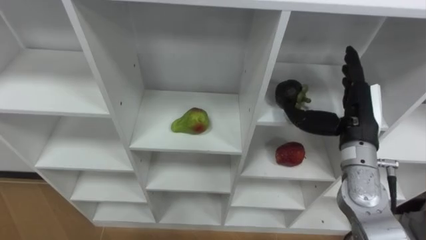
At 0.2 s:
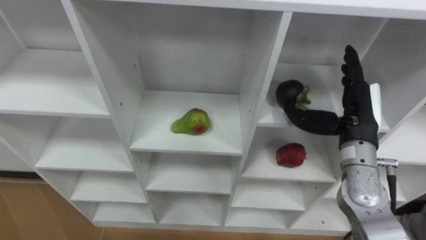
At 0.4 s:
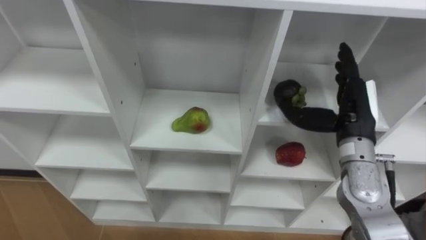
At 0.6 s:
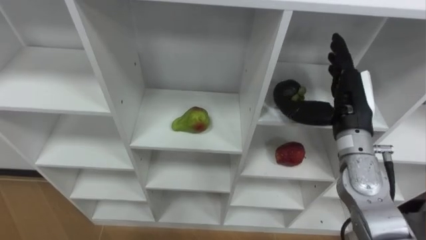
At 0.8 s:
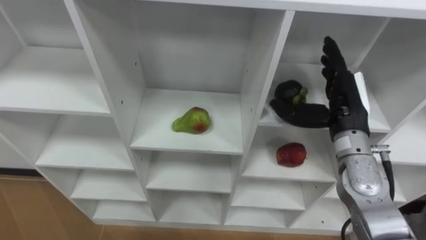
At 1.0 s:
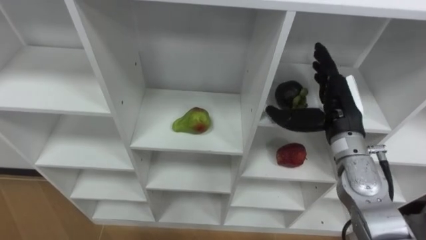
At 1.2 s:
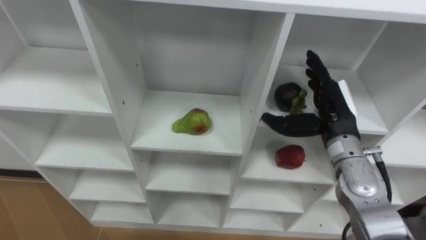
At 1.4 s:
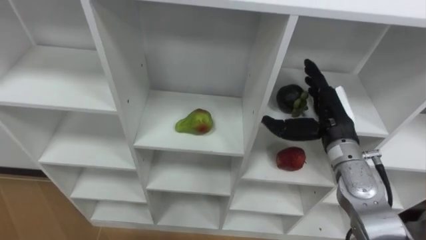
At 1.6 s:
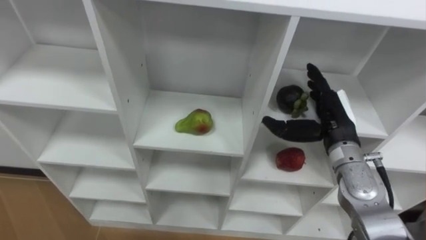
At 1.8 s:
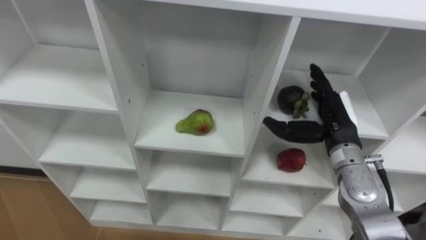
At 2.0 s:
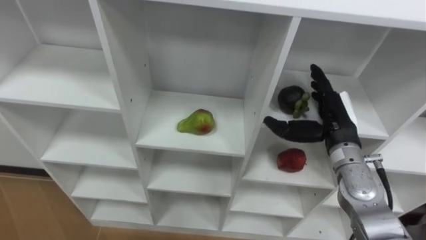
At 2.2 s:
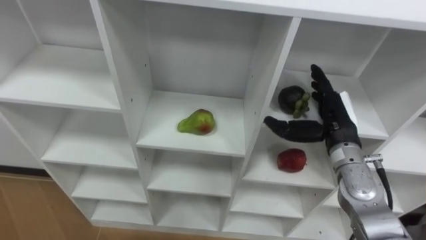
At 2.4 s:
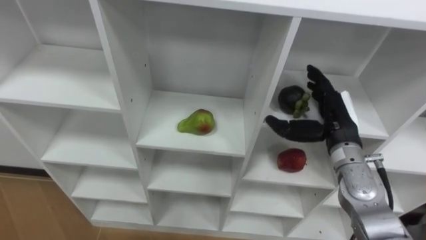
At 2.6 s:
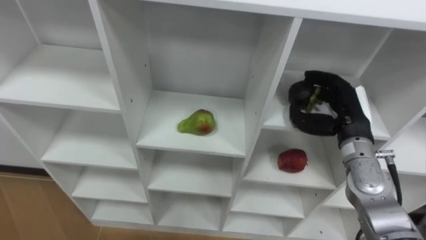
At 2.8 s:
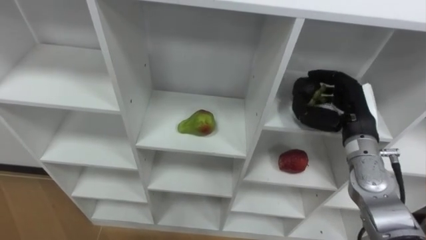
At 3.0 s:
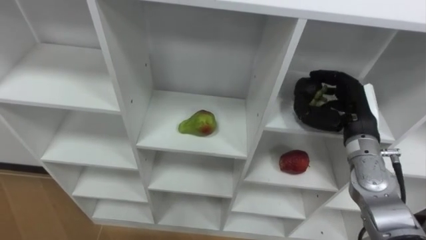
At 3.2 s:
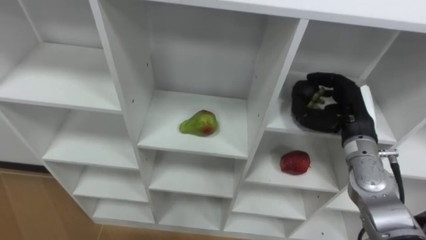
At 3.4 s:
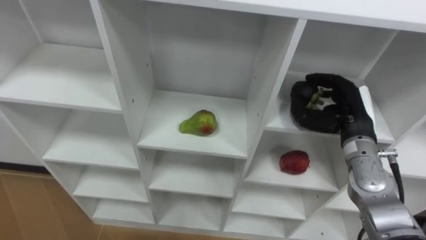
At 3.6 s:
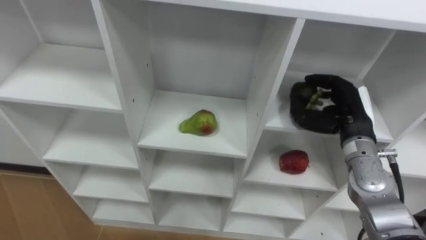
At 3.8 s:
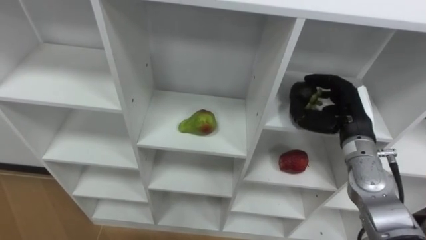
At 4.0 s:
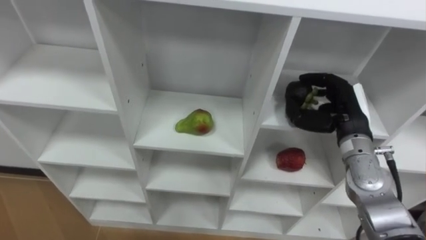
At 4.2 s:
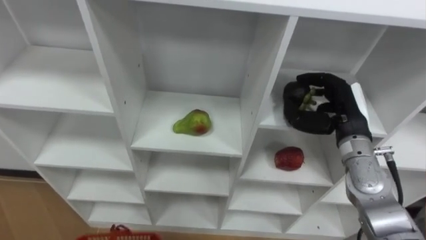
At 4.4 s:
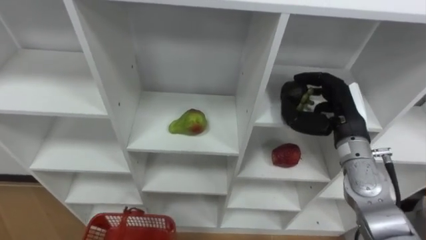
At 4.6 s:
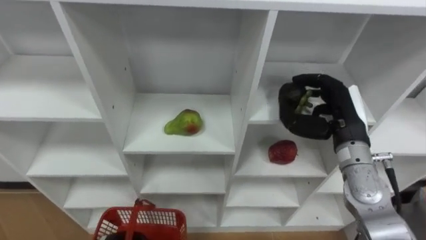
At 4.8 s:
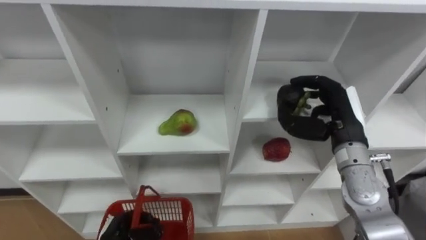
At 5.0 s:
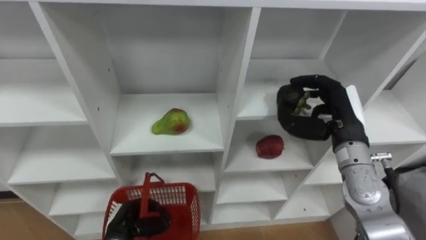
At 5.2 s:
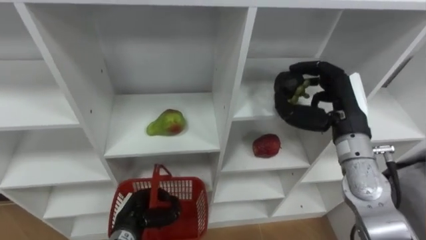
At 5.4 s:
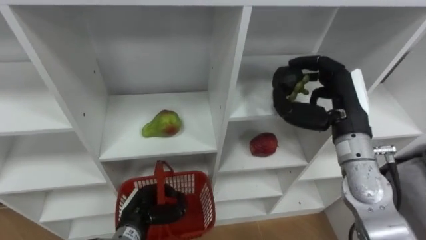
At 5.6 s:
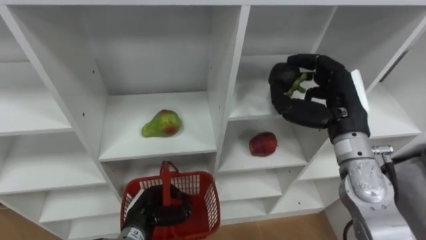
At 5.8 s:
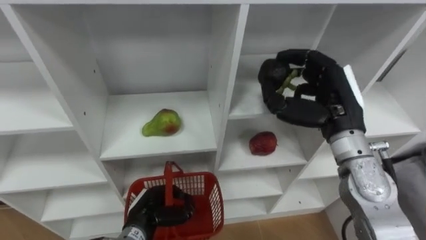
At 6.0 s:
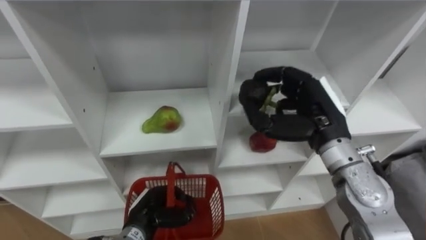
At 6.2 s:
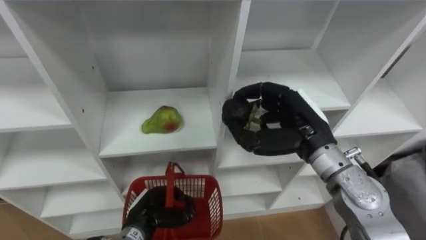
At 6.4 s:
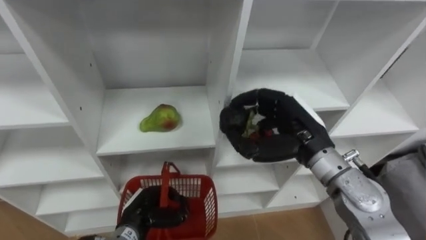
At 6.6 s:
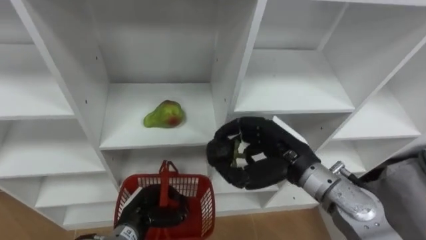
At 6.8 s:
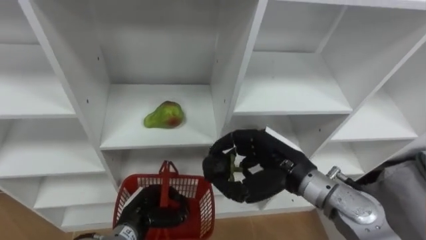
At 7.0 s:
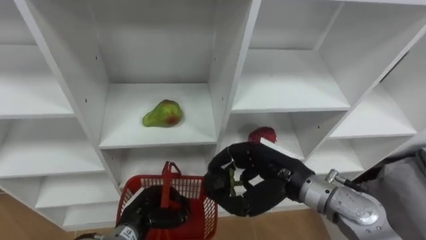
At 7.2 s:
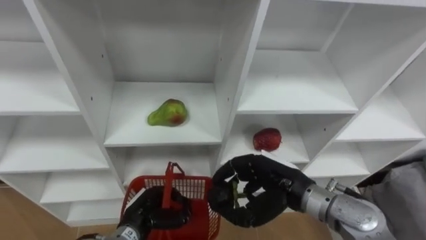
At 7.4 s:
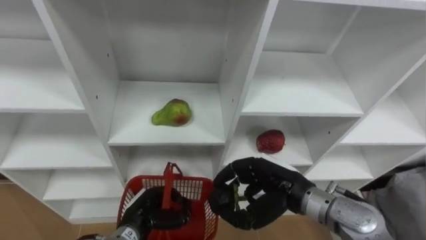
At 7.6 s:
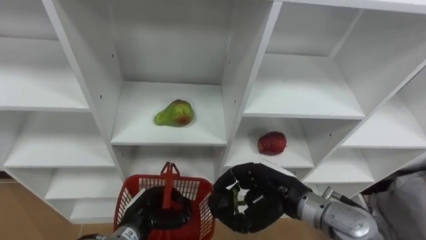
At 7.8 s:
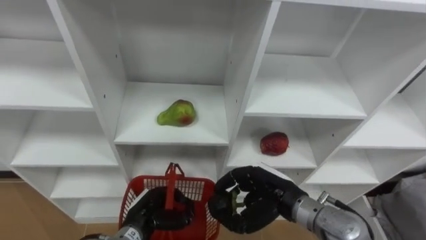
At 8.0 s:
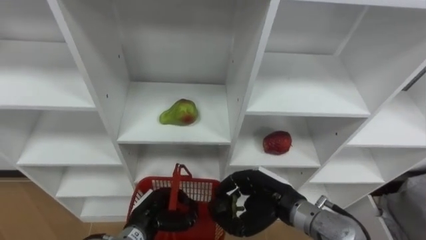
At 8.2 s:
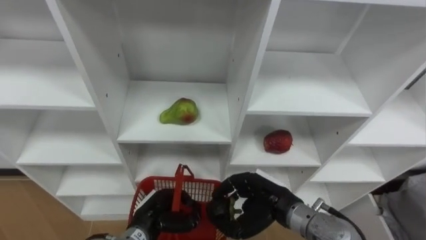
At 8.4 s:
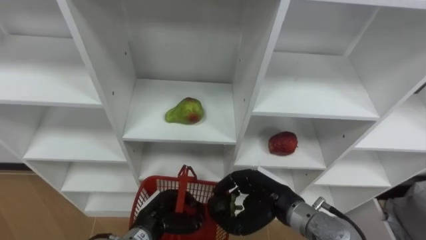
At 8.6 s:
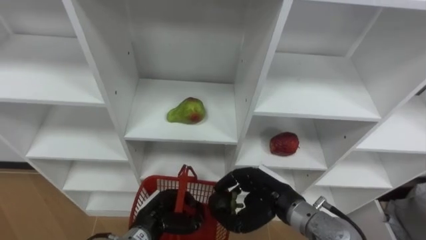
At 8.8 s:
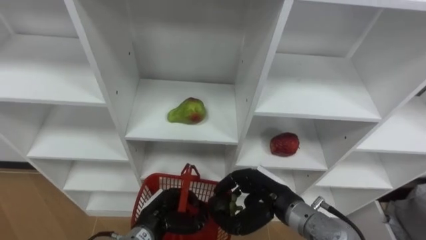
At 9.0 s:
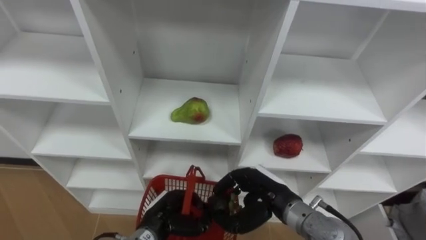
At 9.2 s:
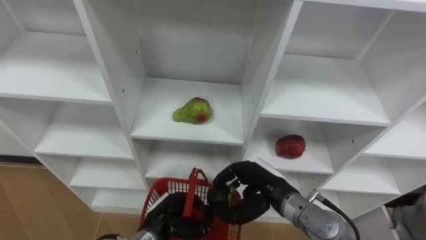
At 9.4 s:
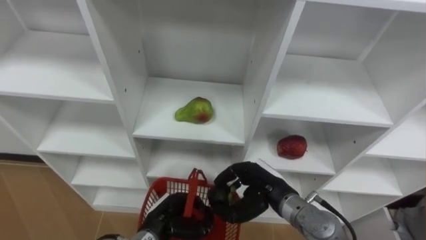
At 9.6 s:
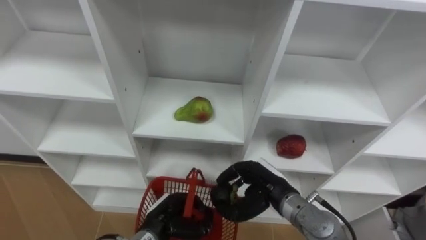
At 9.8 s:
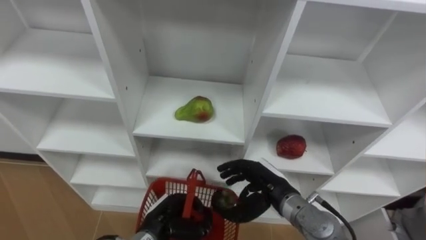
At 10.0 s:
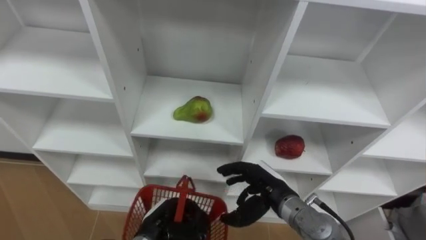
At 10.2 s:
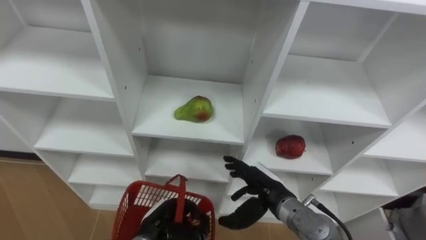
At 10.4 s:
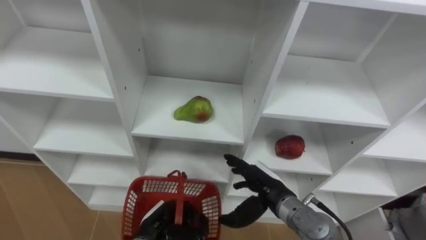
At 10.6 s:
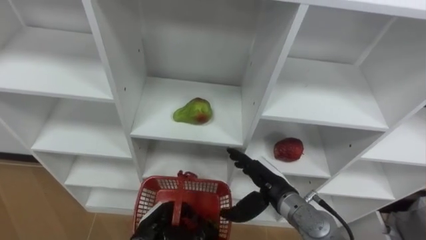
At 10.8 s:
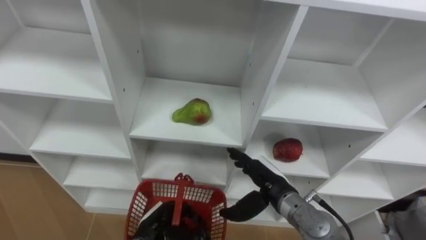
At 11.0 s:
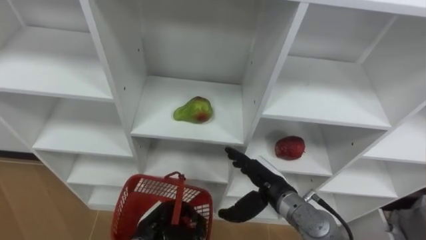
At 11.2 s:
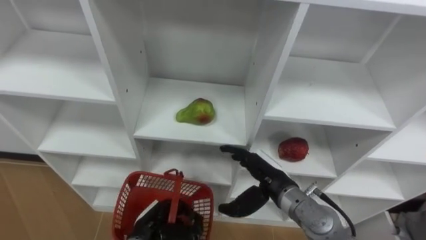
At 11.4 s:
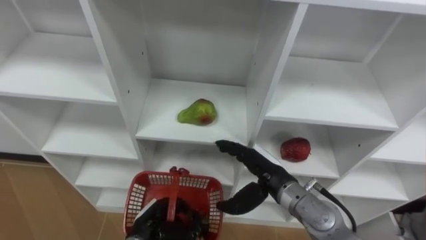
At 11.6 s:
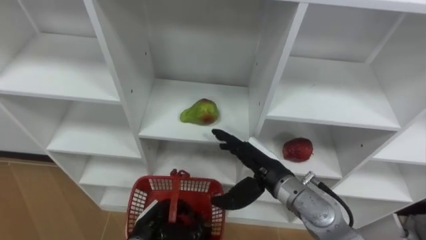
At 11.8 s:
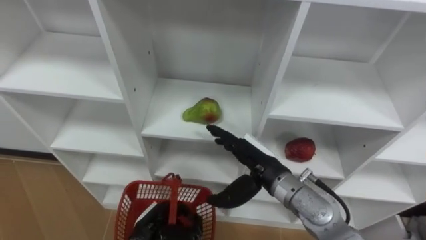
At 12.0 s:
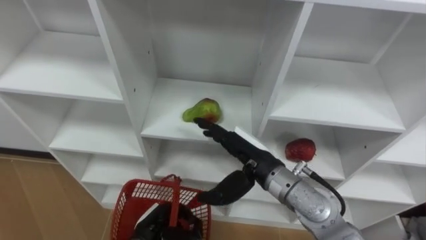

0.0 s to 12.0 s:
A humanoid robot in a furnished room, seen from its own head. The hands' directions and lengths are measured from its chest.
Task of the whole recording: Hold the basket and collect the fruits from 3 different cells of the closet into it.
1.6 to 3.0 s: The right hand closes its fingers.
4.4 to 6.0 s: The right hand moves to the left, roughly 5 cm.
6.0 to 7.6 s: The right hand goes approximately 15 cm downward, backward and to the left.
9.0 to 10.4 s: The right hand opens its fingers.
10.4 to 12.0 s: The right hand shifts roughly 10 cm upward.

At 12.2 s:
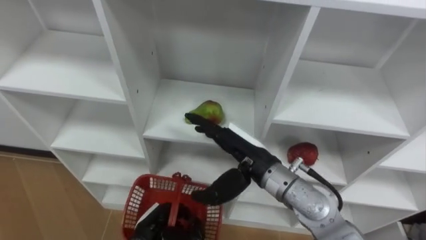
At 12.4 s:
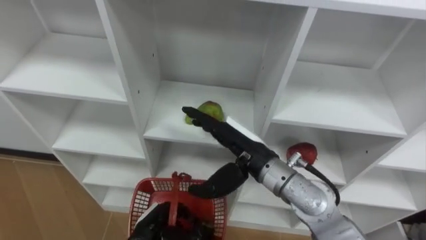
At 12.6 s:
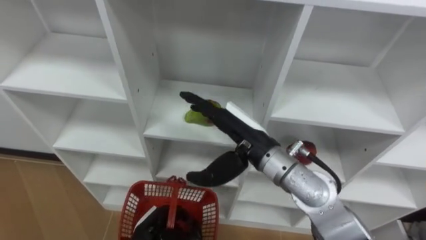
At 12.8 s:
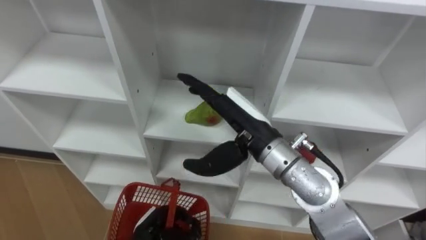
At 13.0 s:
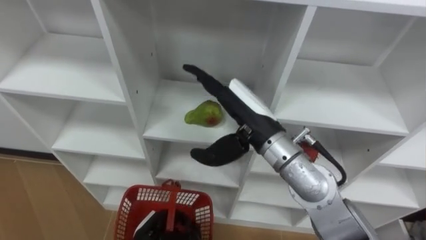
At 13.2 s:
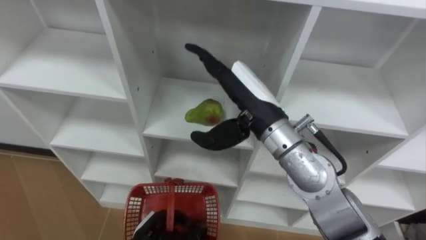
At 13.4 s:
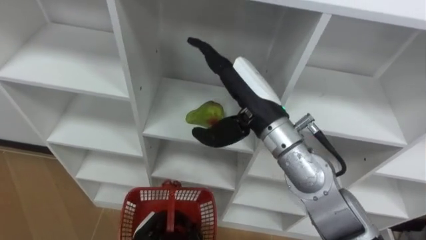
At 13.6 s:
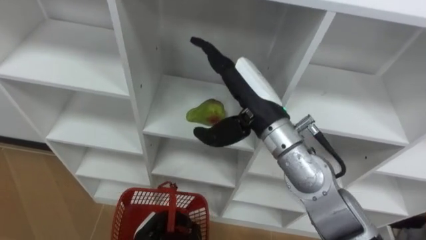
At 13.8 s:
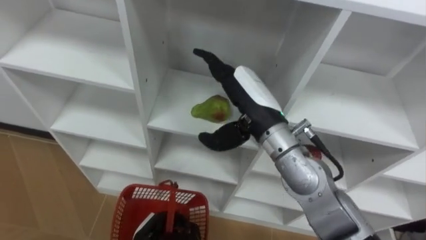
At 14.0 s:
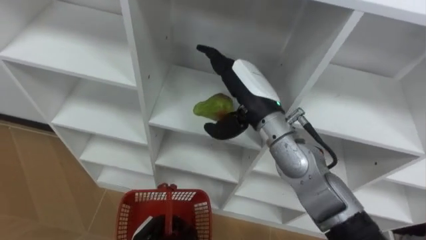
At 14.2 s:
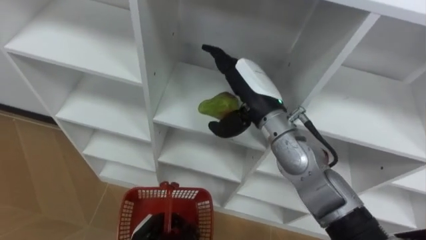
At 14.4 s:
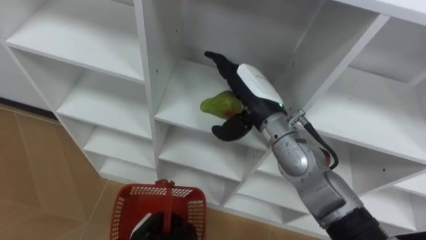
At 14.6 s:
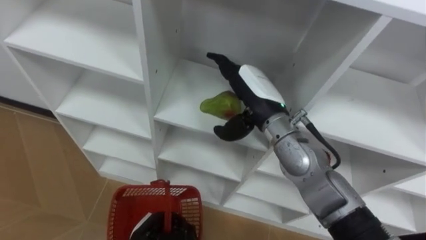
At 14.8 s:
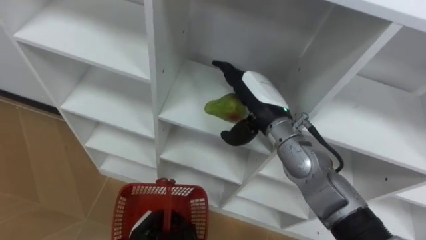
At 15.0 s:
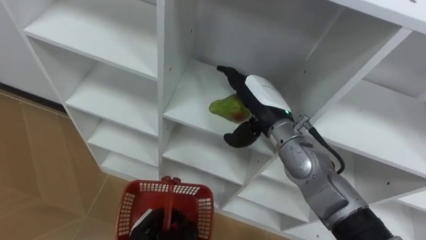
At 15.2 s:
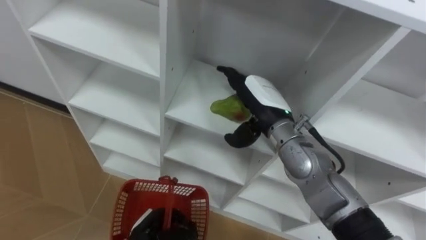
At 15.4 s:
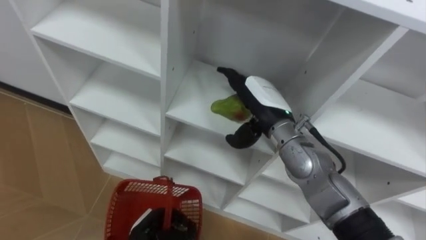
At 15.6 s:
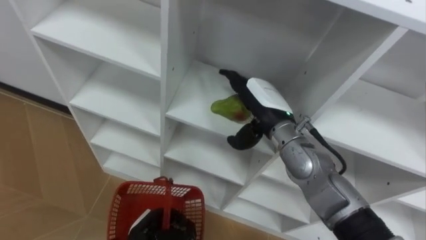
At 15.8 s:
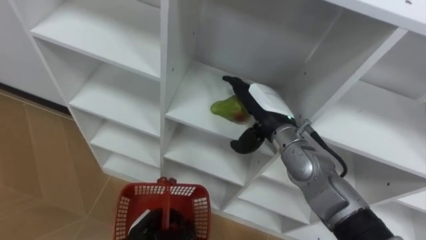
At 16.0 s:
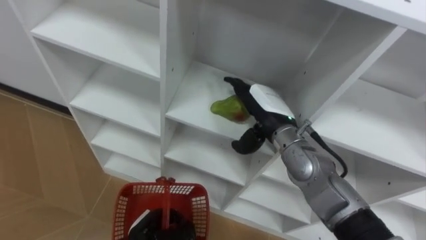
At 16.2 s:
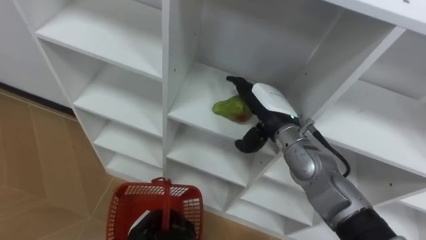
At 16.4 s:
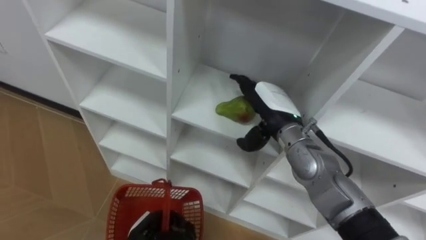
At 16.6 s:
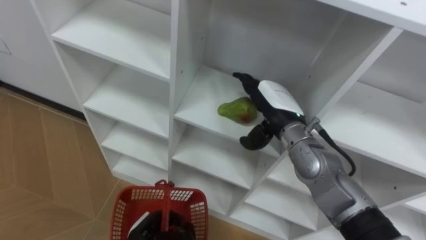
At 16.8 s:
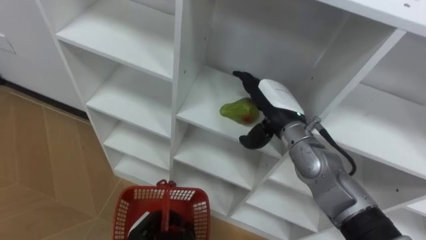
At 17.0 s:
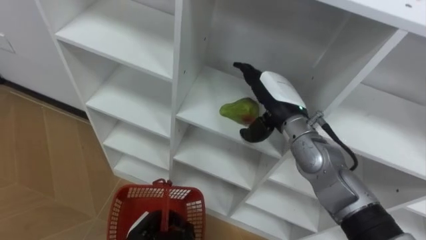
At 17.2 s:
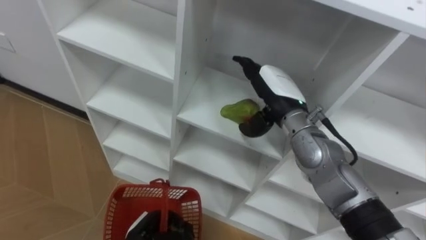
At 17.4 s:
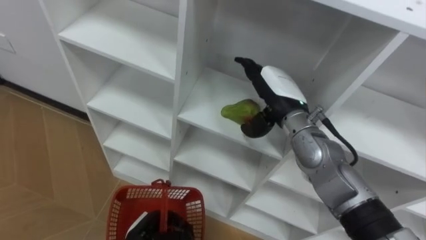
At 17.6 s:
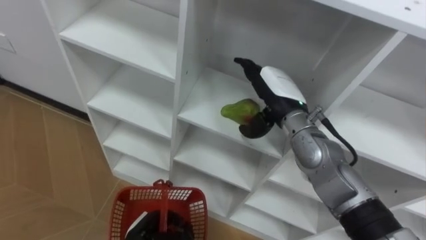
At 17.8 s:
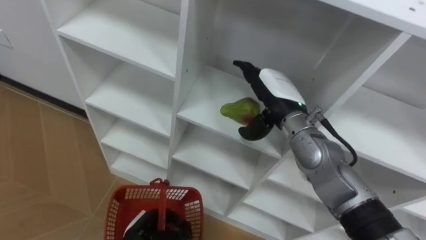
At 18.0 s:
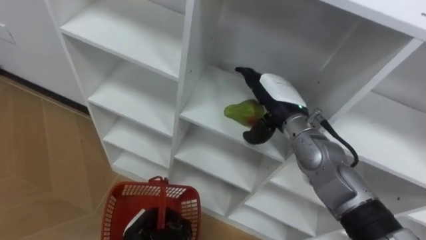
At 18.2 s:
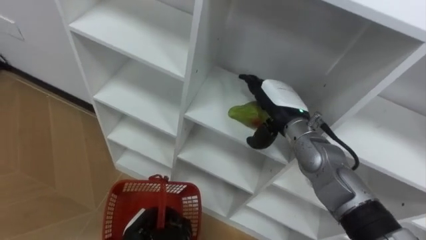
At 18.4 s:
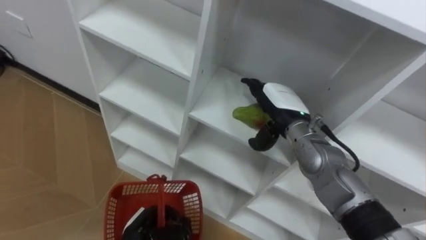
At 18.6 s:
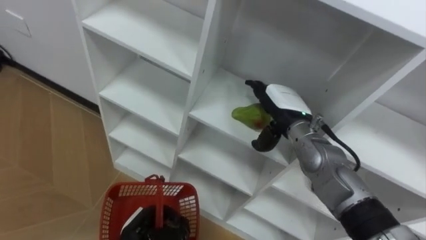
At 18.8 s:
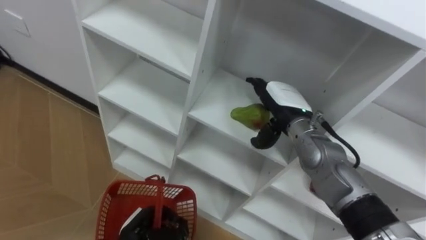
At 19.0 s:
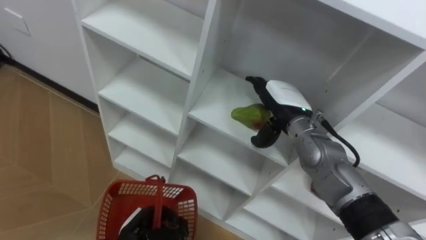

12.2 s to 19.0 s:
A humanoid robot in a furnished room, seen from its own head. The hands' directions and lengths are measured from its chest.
Task of the whole recording: Hold the basket and collect the fruits from 3 different cells of the closet into it.
12.2 to 13.6 s: The right hand goes some 10 cm upward.
13.6 to 15.0 s: The right hand moves downward, roughly 5 cm.
